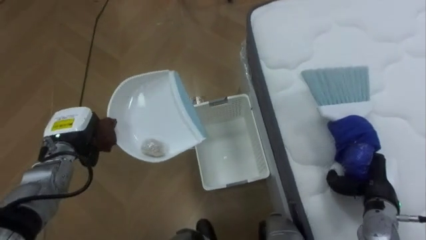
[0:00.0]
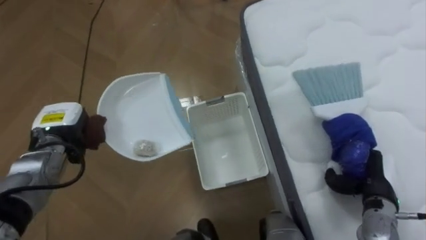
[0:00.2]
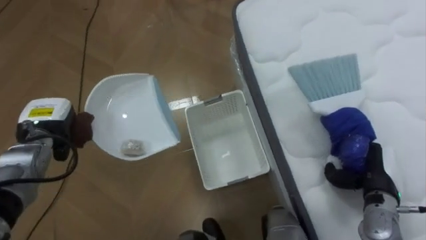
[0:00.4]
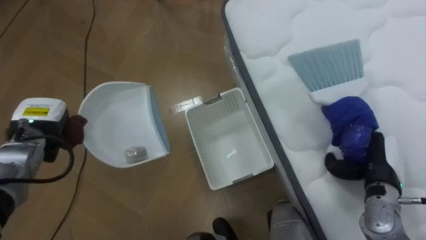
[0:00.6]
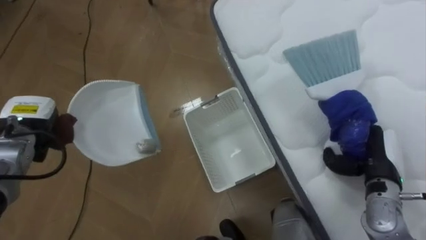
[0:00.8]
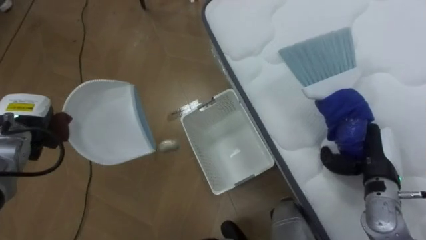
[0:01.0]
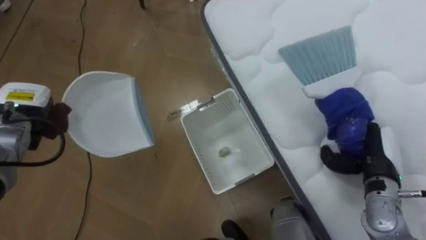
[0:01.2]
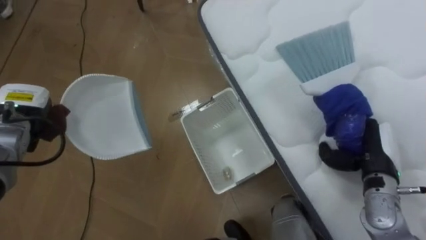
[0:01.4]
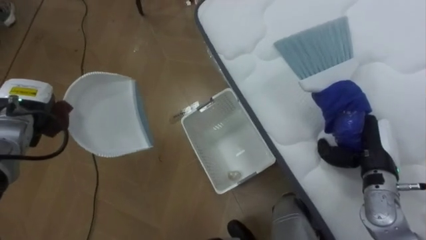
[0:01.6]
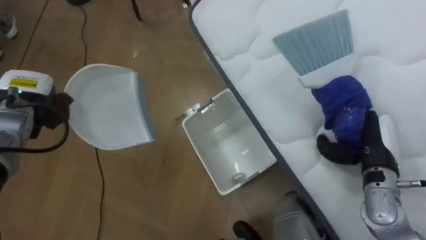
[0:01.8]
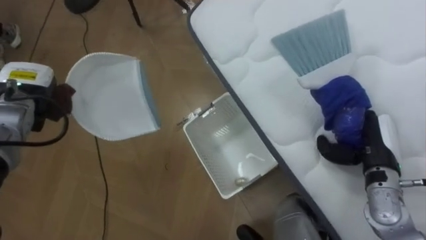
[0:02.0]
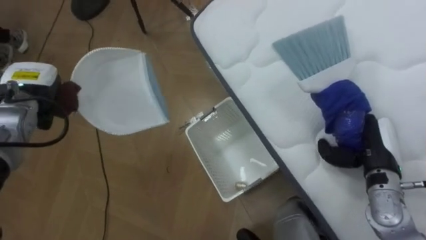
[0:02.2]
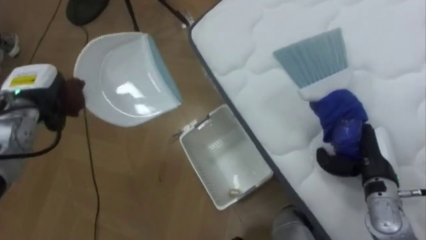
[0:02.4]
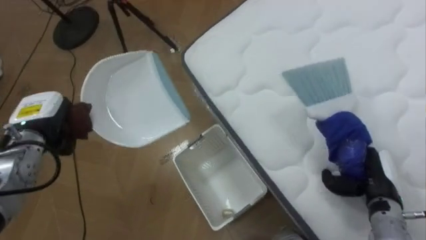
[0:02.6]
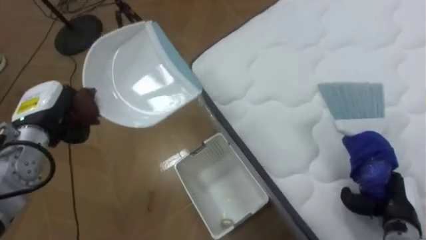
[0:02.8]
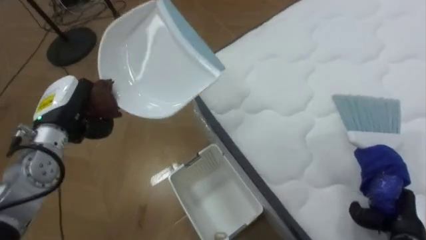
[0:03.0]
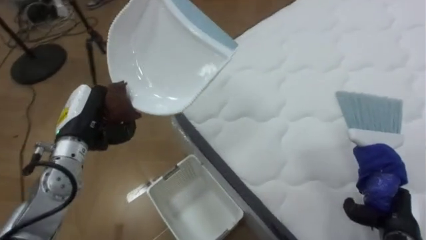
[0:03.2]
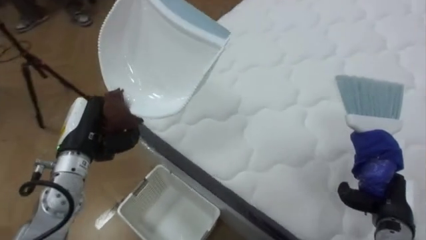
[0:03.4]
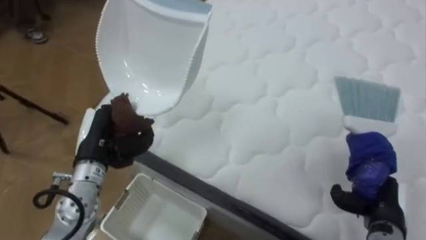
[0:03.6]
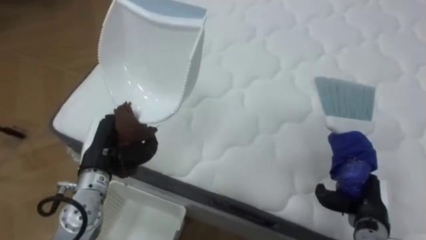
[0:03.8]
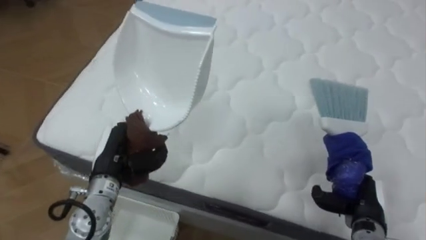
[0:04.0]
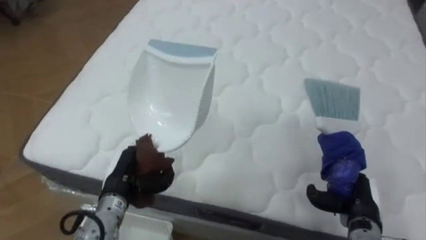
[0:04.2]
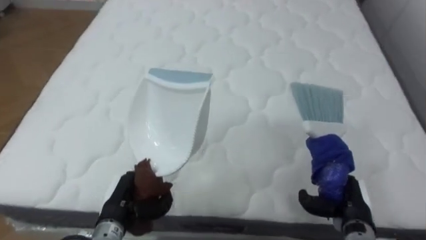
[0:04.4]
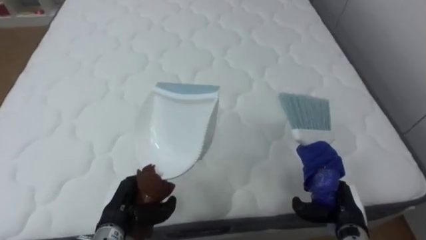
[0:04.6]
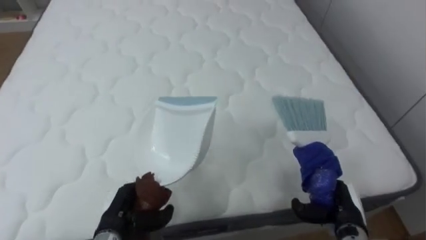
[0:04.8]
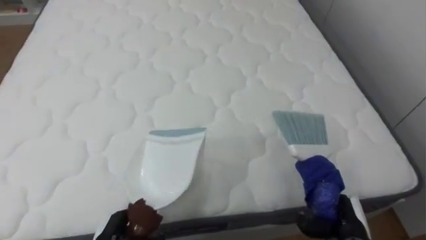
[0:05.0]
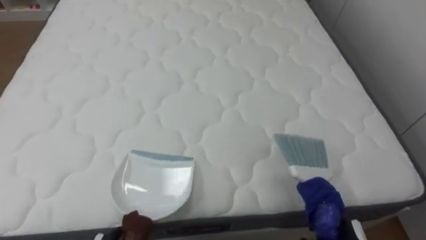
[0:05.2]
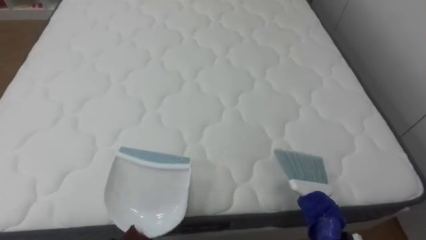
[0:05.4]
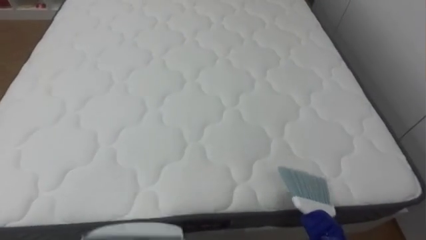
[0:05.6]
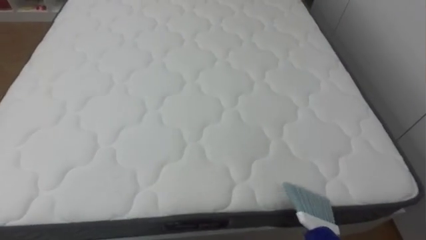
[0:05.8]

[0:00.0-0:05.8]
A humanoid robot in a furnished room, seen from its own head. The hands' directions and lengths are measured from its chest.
Task of the whole recording: Pick up the brush on your right and the dustpan on your left. Use the brush to sweep the crumpled paper on the bed into the dustpan, then turn left and empty it into the basket.
0:00.0 to 0:01.4: The right hand travels upward by some 5 cm, while the left hand moves to the left and upward, some 10 cm.
0:01.4 to 0:02.8: The right hand is displaced backward and downward by approximately 10 cm, while the left hand changes place by about 5 cm.
0:02.8 to 0:04.4: The robot turns to its right by some 65 degrees. The left hand is displaced downward, backward and to the right by roughly 20 cm. Meanwhile the right hand moves to the left, approximately 5 cm.

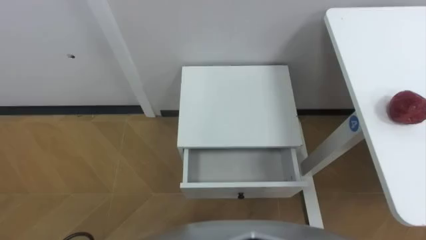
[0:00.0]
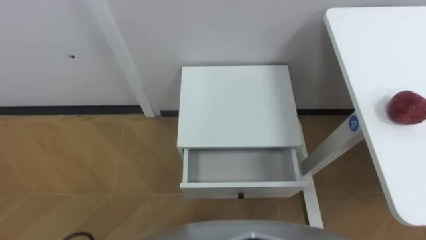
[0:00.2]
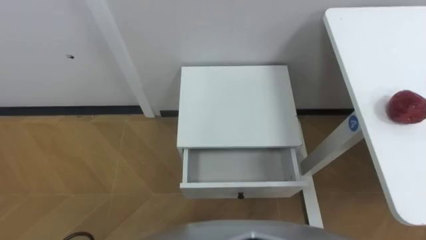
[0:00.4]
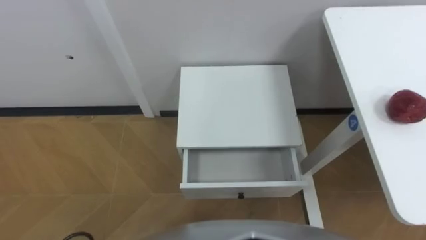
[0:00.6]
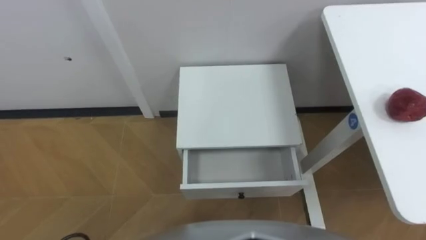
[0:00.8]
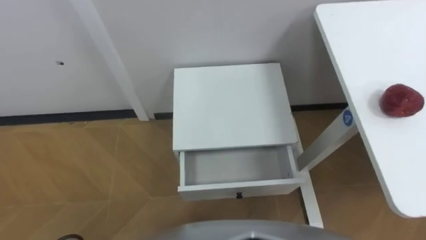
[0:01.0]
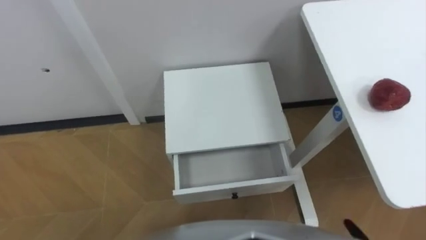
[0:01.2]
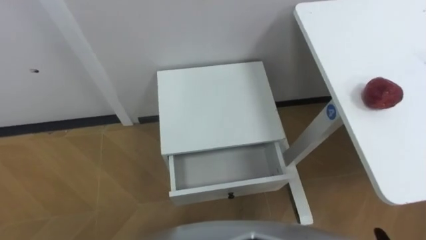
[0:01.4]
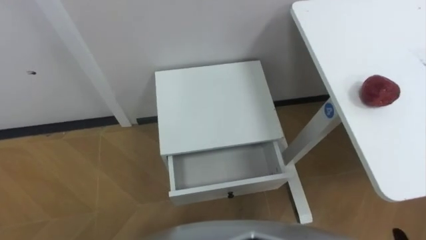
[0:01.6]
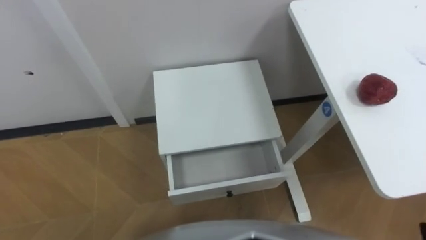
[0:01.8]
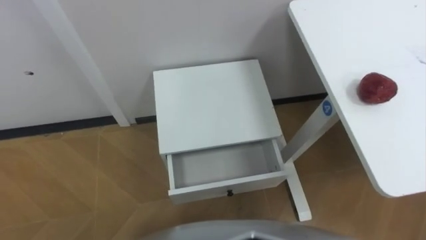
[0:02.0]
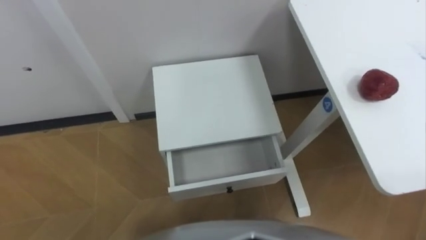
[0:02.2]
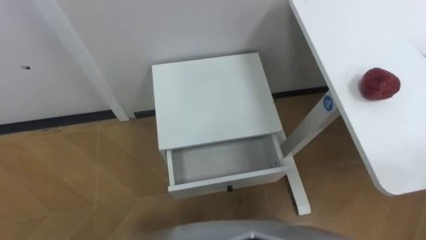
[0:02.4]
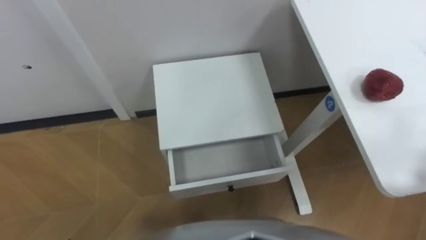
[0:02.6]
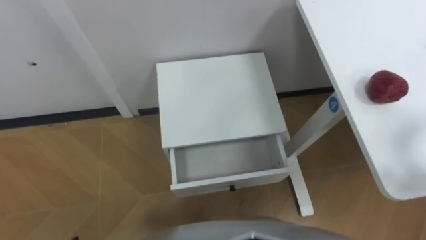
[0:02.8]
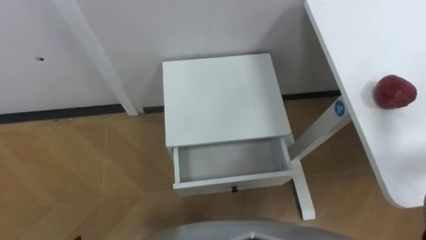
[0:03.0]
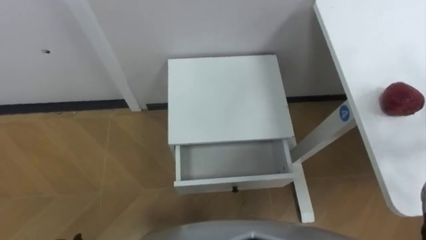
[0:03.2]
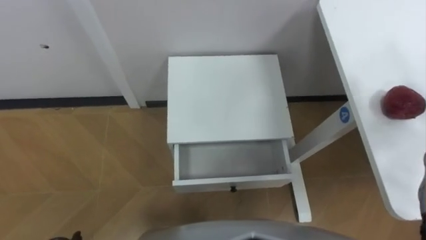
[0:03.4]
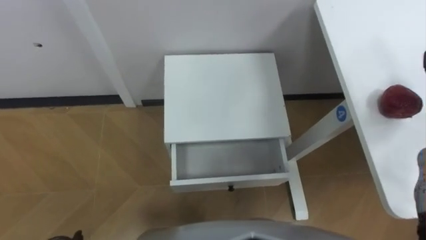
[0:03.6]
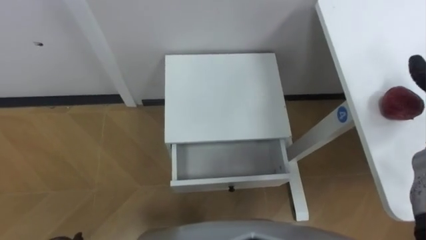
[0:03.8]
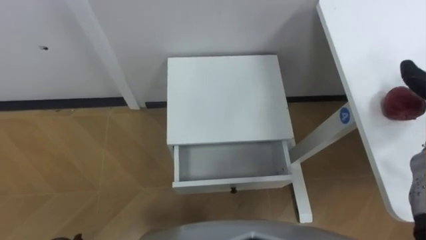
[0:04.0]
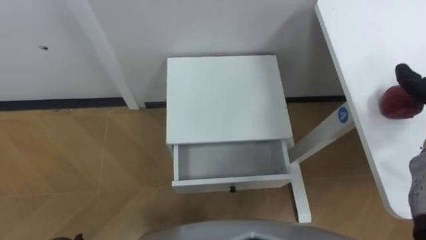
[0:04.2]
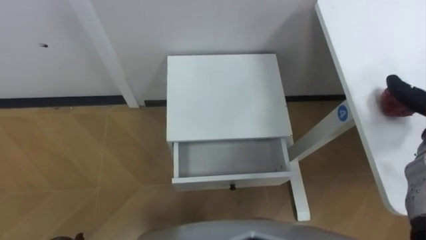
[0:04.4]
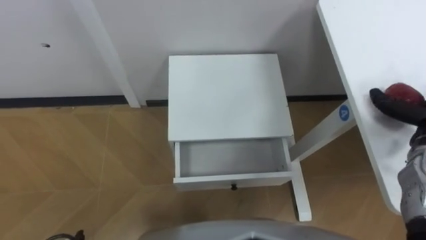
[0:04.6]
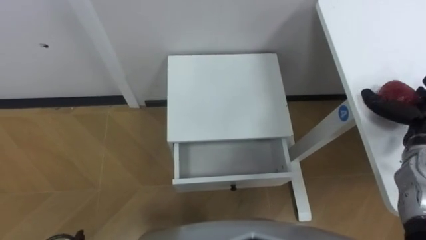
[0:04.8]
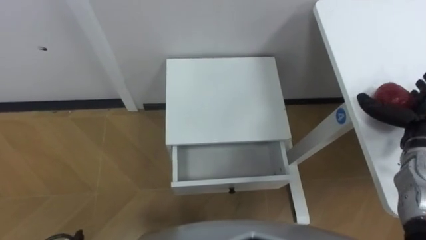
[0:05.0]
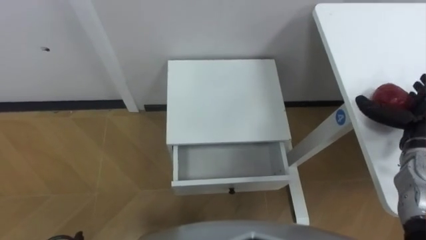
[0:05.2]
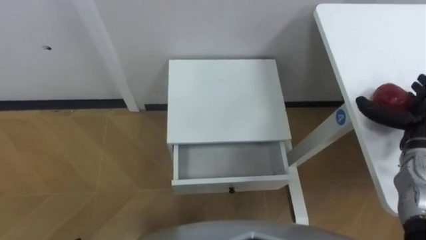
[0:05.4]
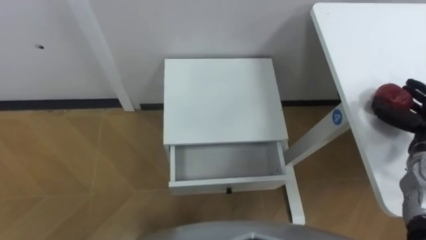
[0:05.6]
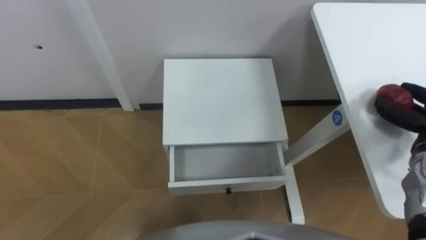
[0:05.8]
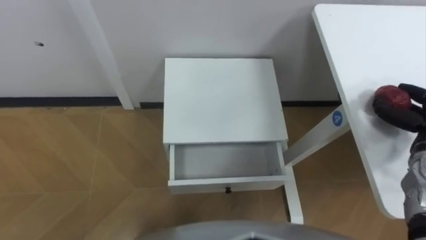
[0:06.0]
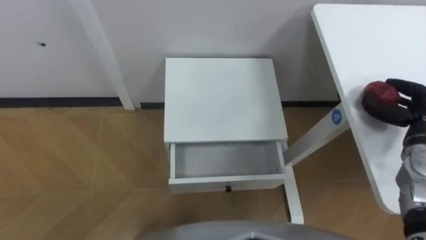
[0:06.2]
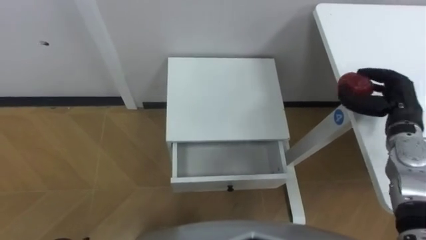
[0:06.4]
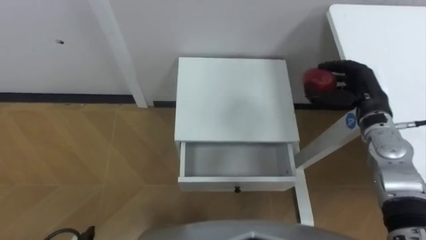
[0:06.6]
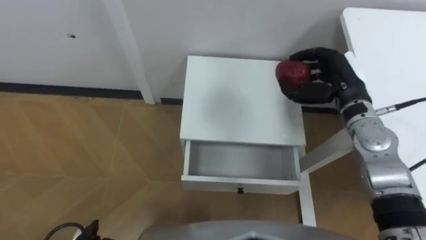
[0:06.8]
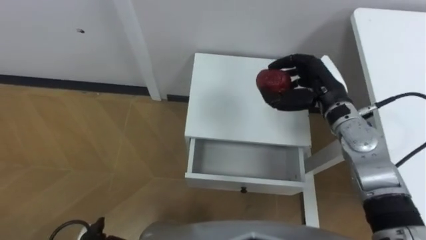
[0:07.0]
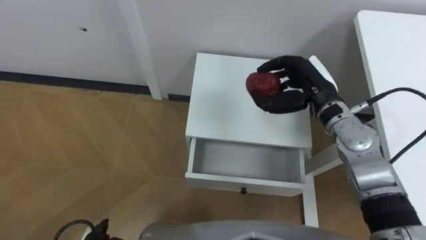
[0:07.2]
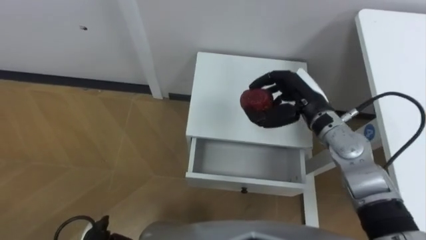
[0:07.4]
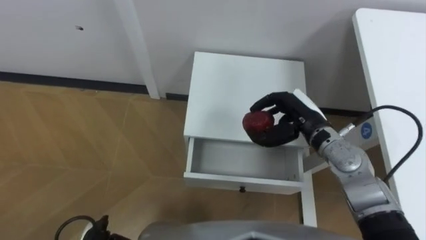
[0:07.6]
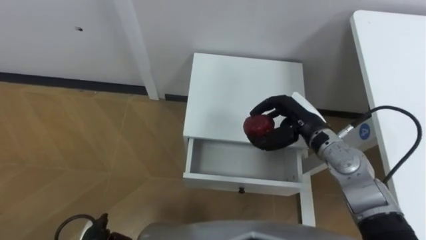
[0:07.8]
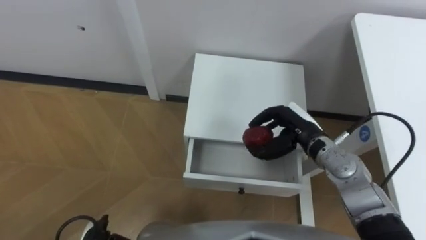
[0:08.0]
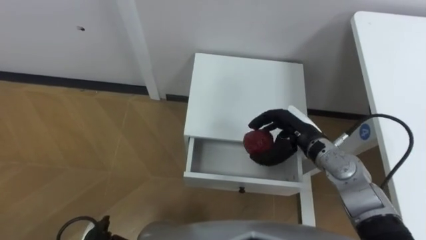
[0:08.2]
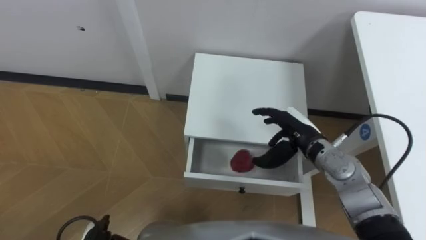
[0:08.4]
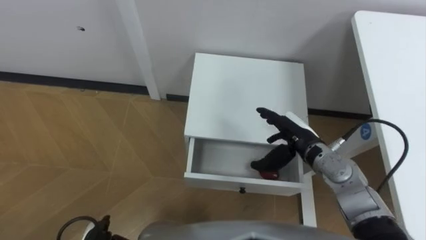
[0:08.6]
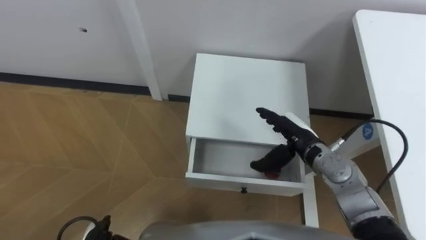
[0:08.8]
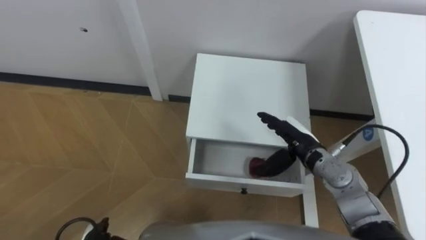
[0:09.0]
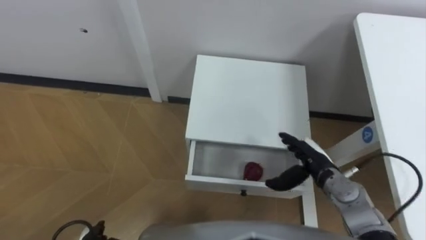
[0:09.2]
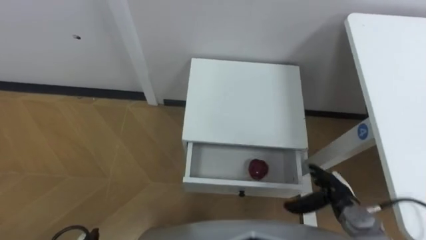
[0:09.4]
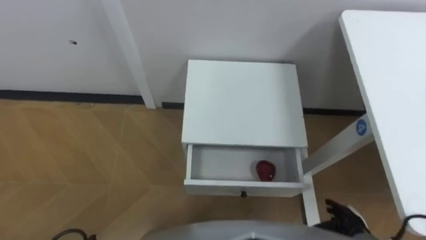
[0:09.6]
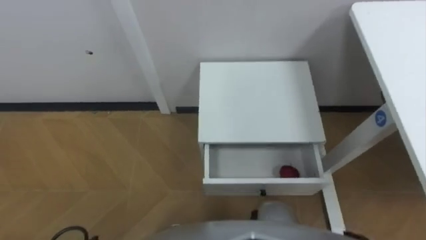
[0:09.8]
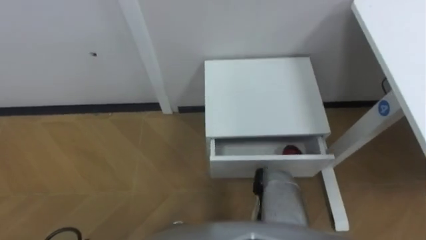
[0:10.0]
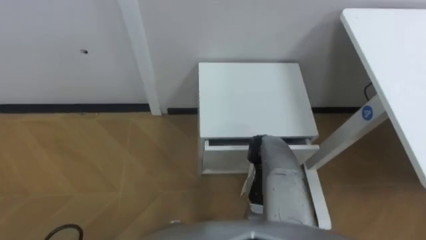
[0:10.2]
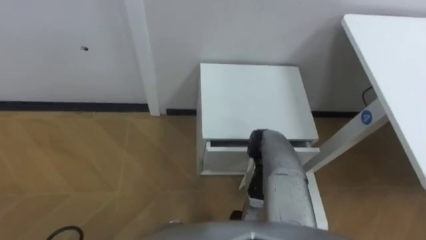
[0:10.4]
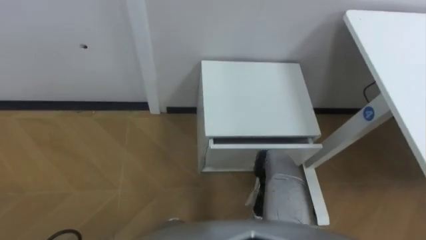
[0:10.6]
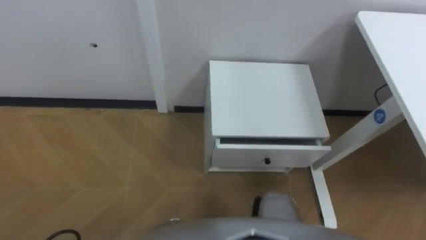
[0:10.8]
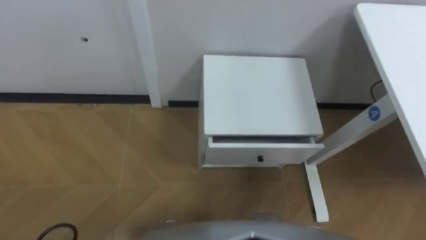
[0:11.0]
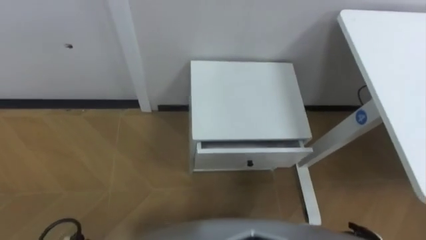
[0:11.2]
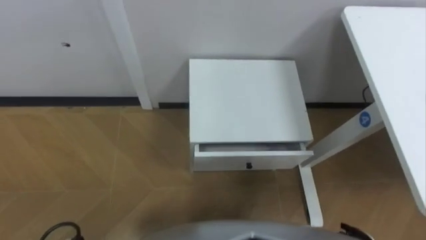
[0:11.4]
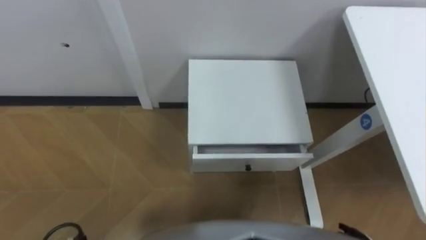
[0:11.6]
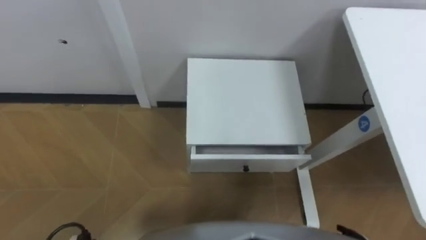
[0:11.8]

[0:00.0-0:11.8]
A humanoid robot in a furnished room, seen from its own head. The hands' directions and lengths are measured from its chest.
Task of the whole recording: Pick up the apple from the table, put it in the drawer, and close the drawer with leg.
0:06.0 to 0:07.4: The right hand is displaced to the left by approximately 25 cm.
0:07.4 to 0:08.8: The right hand is displaced downward and backward by some 10 cm, and opens.
